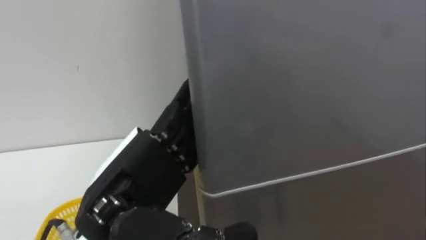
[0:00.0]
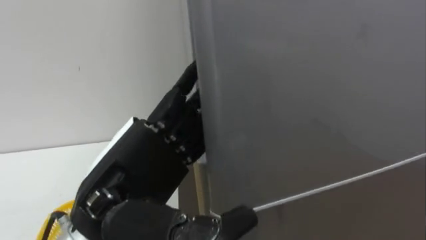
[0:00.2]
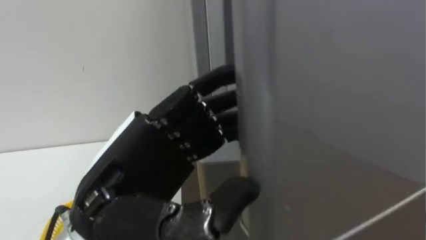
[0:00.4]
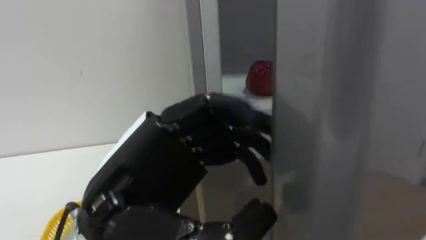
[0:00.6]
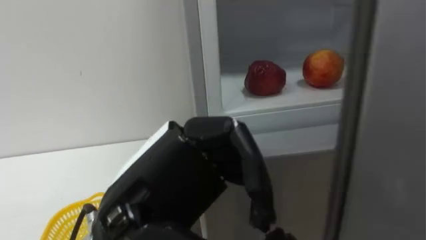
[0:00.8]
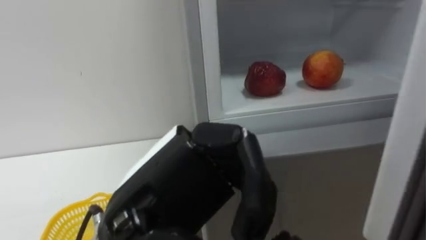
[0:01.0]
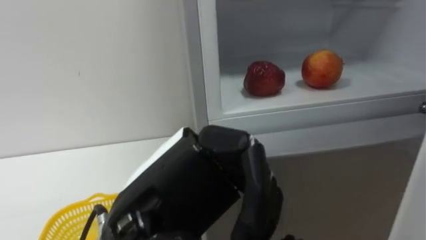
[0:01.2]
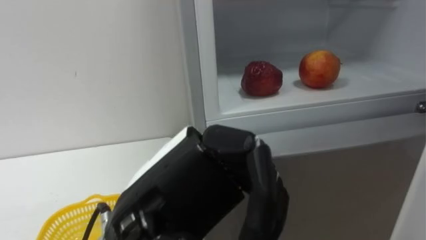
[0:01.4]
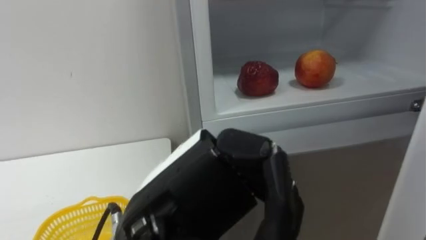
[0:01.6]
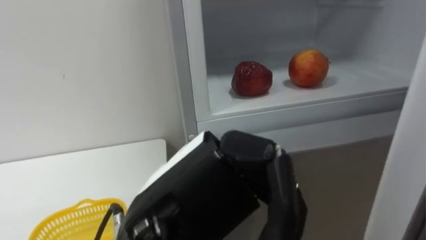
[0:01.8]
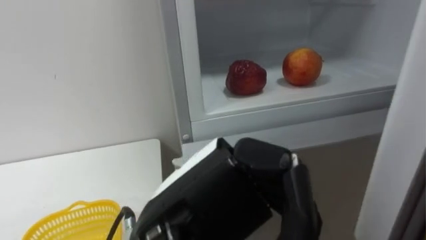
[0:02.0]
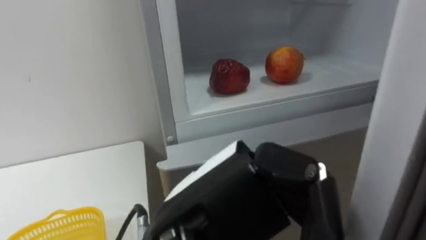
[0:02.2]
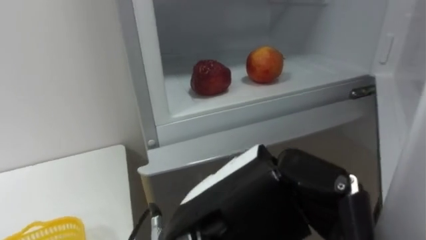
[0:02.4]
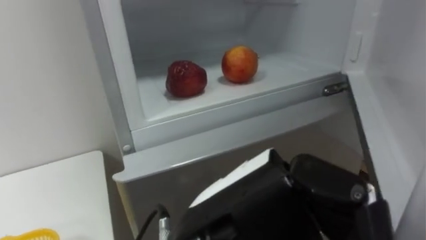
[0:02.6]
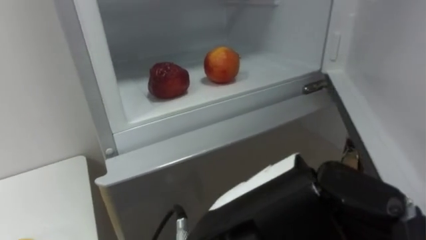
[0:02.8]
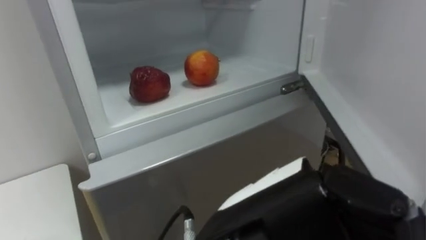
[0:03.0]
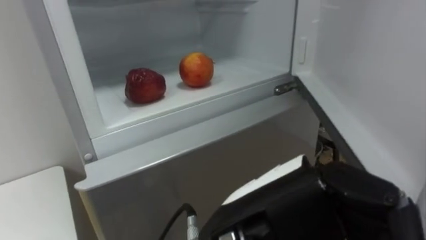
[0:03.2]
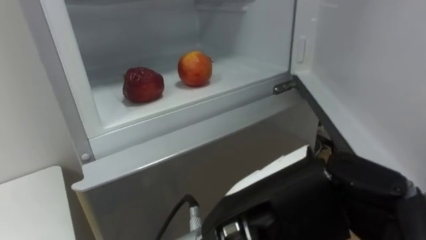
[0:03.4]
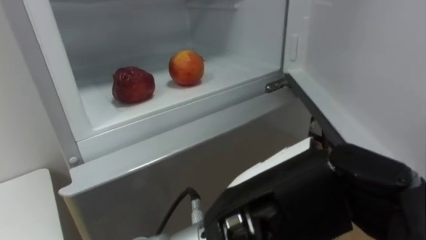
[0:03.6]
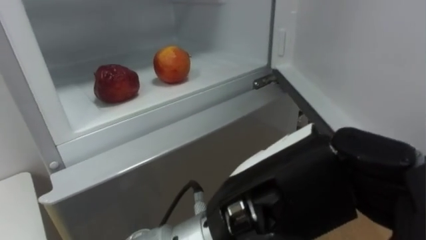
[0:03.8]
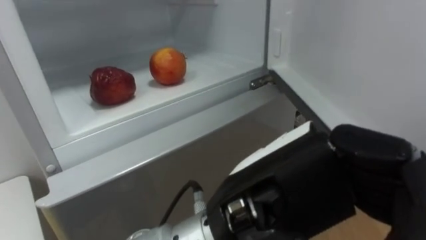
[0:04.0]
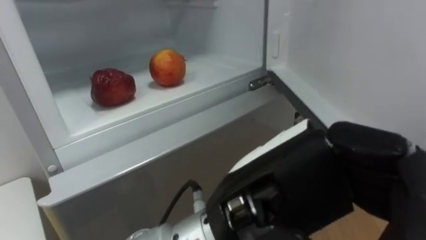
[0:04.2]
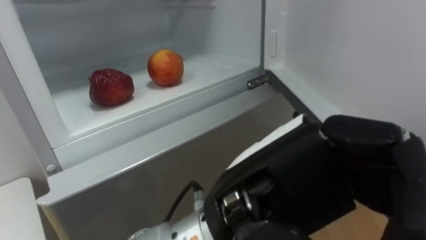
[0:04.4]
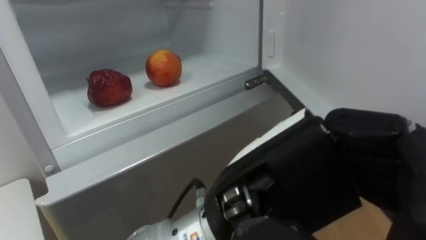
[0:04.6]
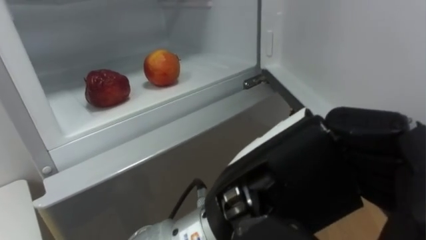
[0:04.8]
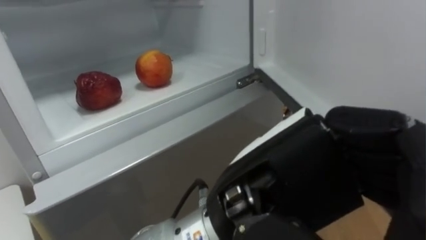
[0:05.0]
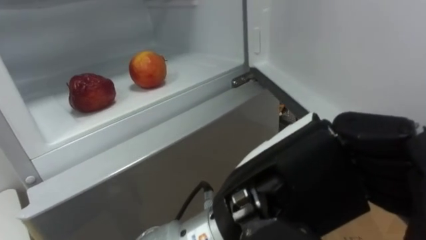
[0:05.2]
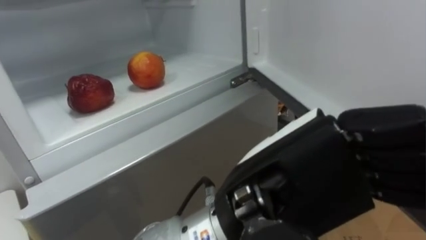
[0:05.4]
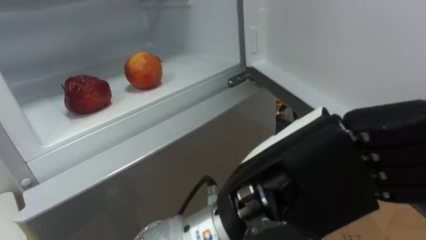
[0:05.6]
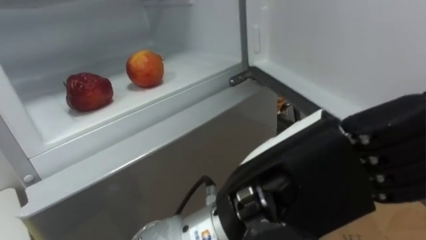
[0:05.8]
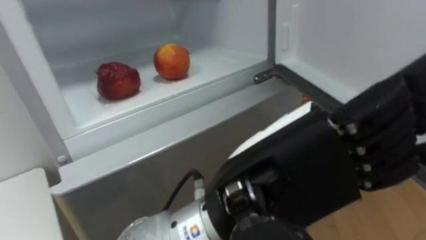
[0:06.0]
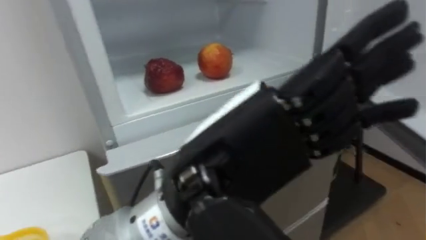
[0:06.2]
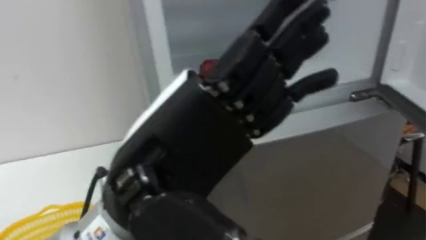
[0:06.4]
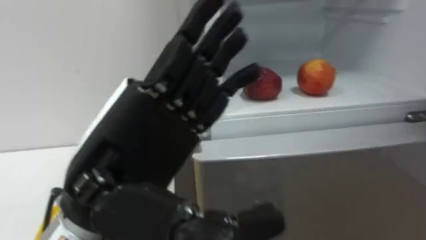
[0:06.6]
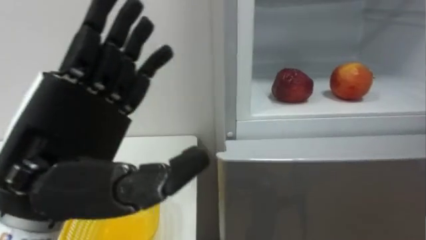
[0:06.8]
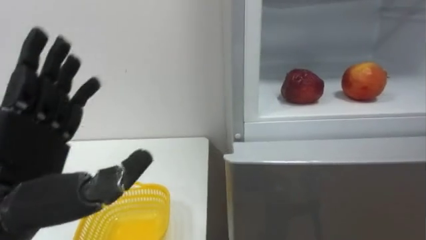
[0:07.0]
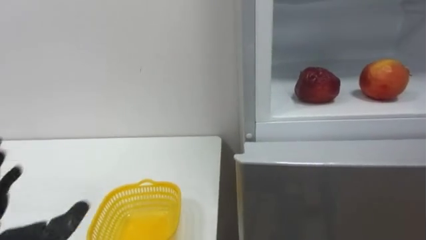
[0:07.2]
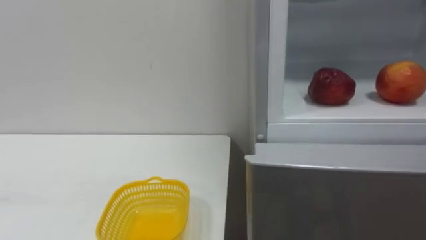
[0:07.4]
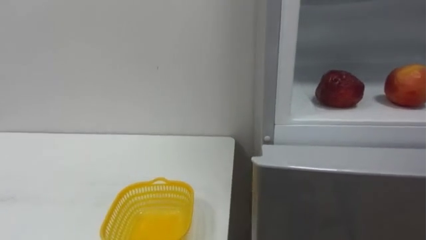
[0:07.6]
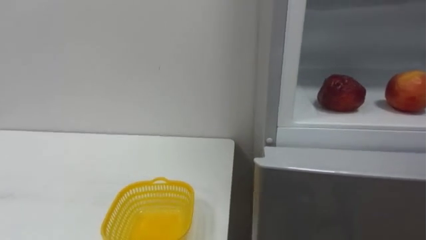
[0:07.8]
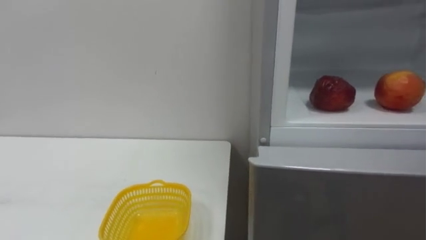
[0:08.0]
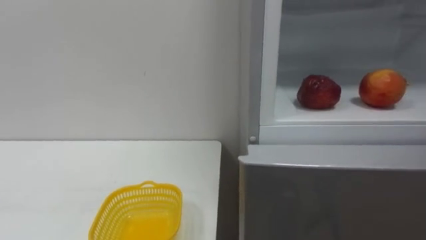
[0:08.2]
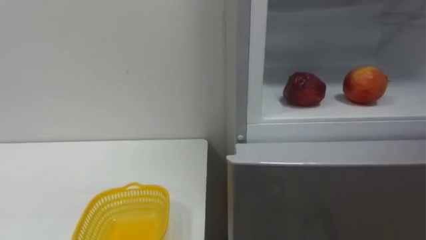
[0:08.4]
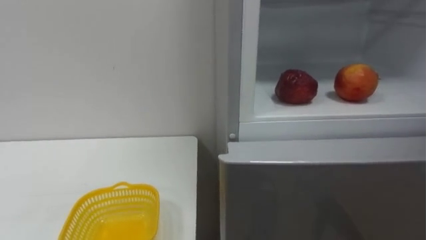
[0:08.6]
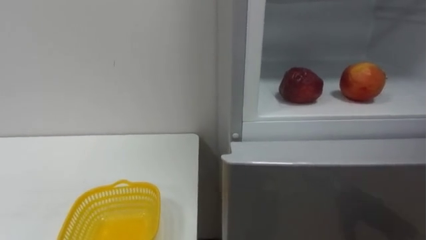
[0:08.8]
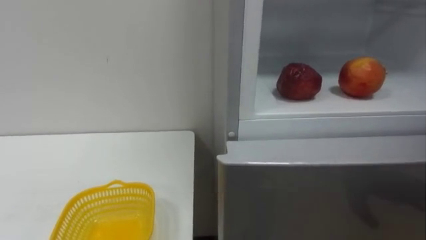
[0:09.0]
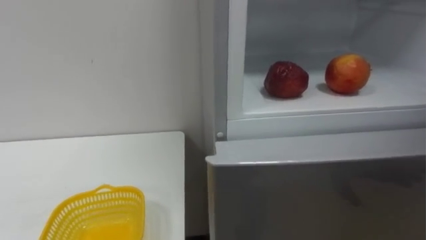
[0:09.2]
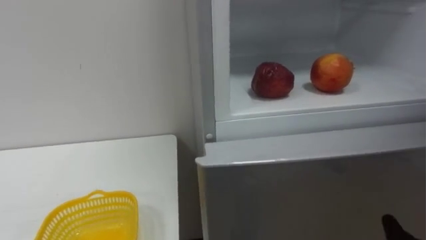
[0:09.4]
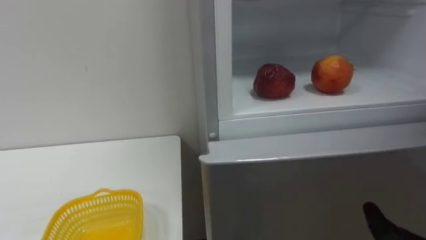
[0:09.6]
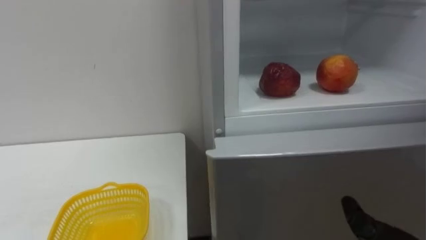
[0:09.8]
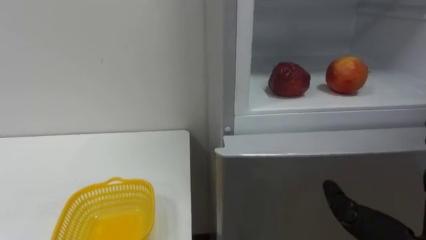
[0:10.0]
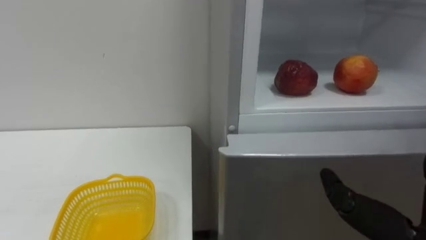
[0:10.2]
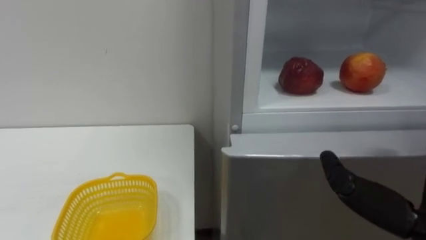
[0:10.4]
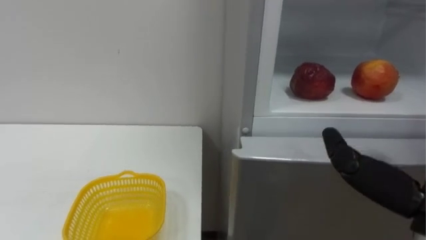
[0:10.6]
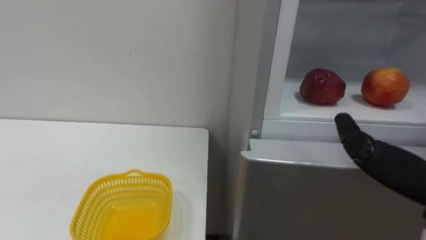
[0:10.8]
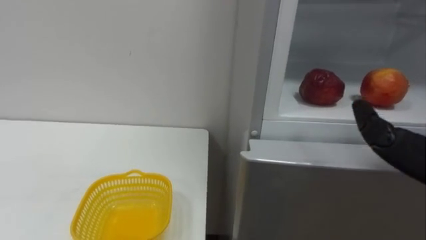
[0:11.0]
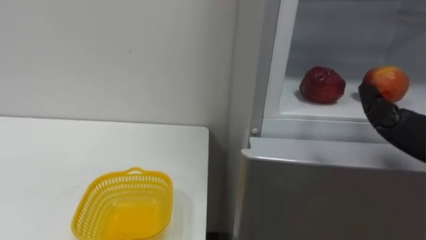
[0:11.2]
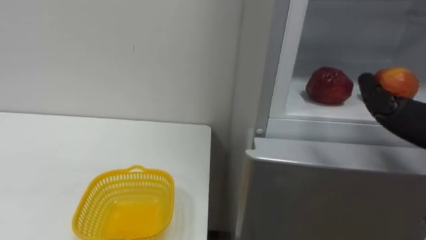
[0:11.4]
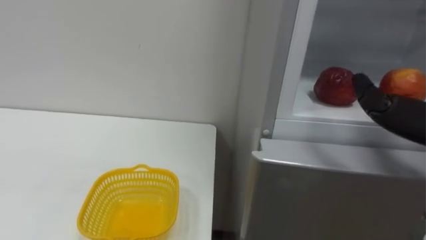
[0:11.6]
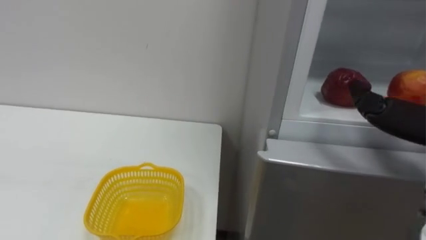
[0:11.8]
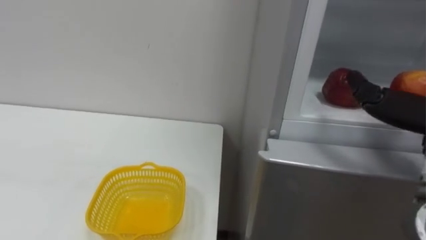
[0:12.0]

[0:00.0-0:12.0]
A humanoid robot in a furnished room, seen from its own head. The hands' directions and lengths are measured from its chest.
Task of the whole recording: Open the refrigerator door, take out the apple and the pomegranate, place them in the fruit basket on the left, and close the refrigerator door.
0:00.0 to 0:01.6: The left hand moves to the right, roughly 5 cm, and closes.
0:01.6 to 0:03.0: The left hand moves to the right, about 5 cm.
0:04.4 to 0:06.0: The left hand opens its fingers.

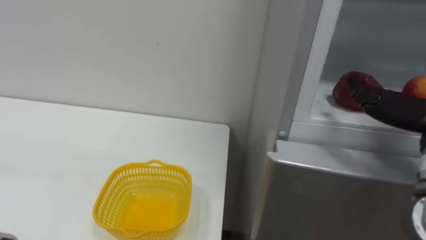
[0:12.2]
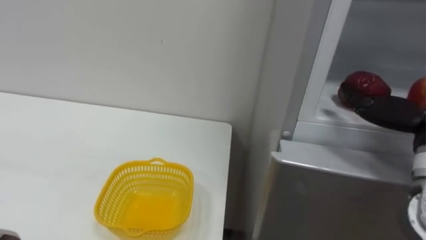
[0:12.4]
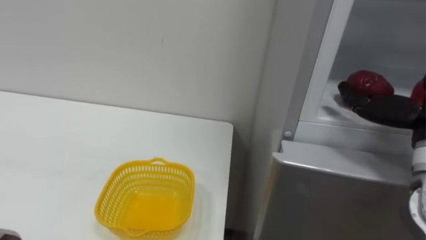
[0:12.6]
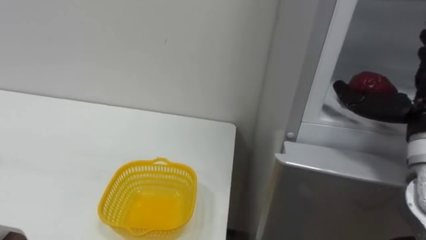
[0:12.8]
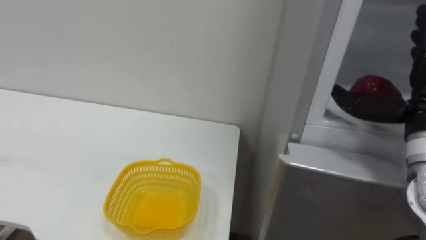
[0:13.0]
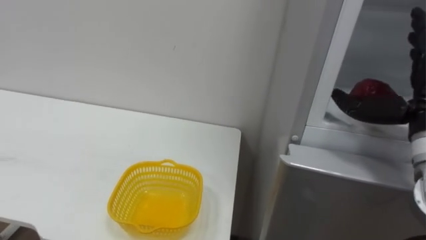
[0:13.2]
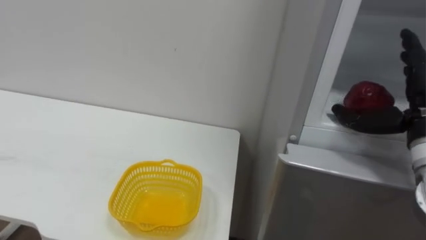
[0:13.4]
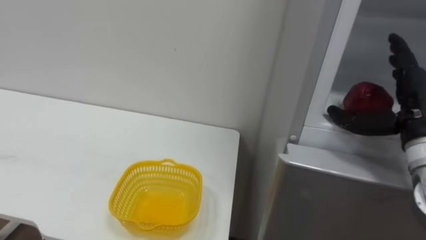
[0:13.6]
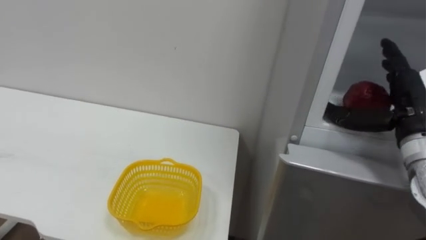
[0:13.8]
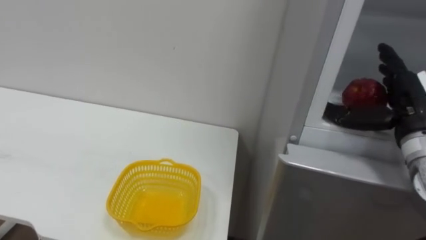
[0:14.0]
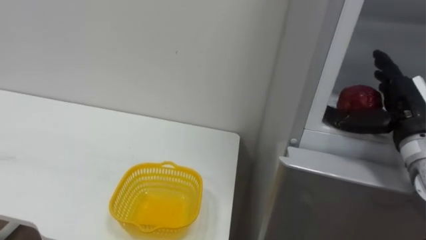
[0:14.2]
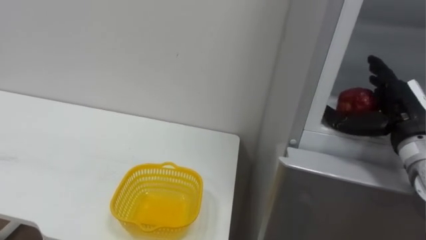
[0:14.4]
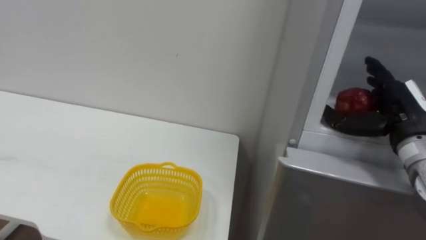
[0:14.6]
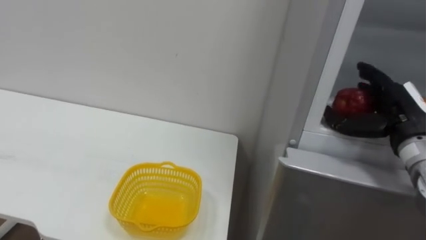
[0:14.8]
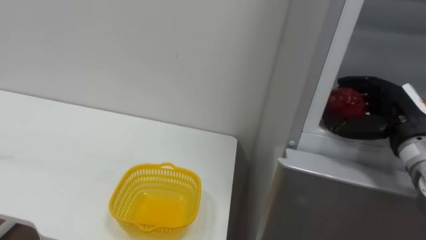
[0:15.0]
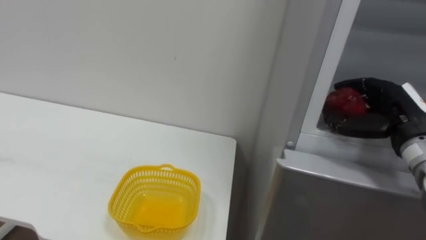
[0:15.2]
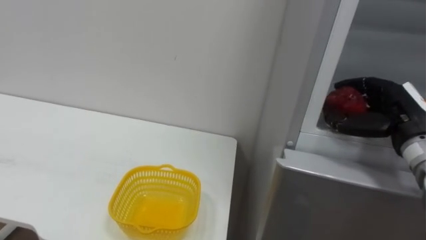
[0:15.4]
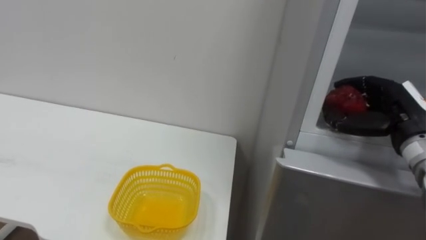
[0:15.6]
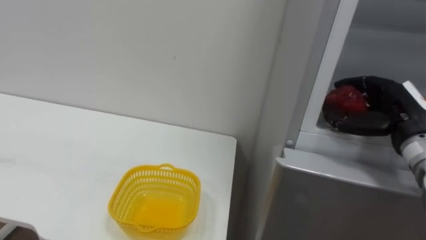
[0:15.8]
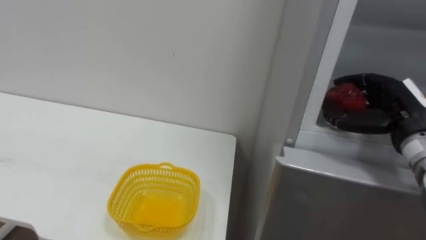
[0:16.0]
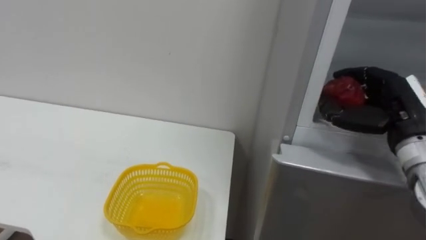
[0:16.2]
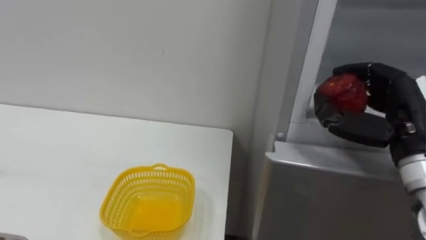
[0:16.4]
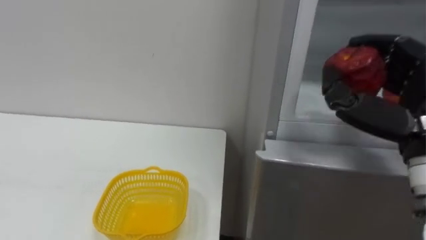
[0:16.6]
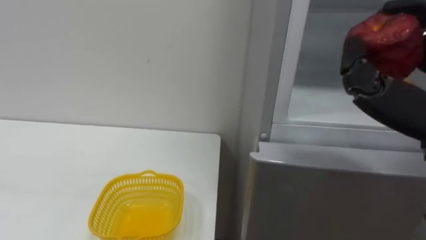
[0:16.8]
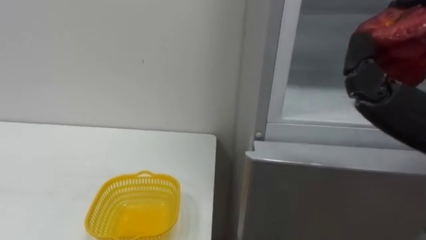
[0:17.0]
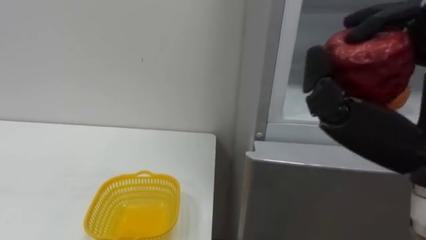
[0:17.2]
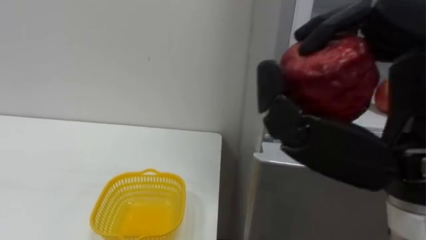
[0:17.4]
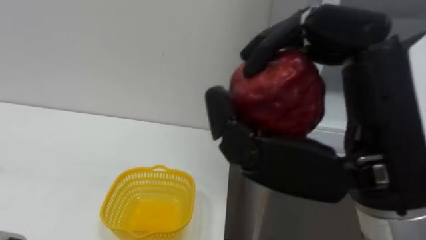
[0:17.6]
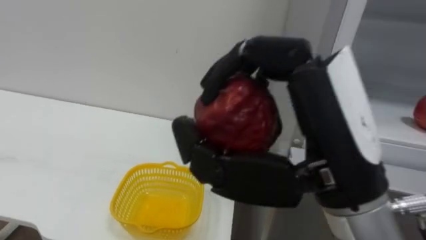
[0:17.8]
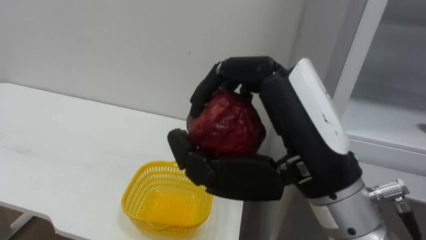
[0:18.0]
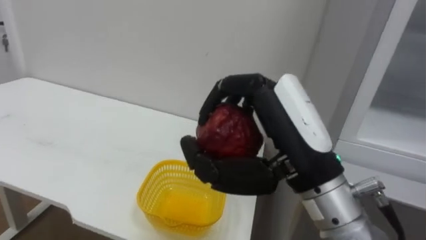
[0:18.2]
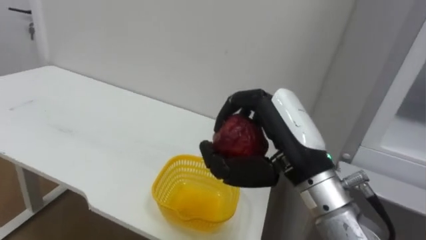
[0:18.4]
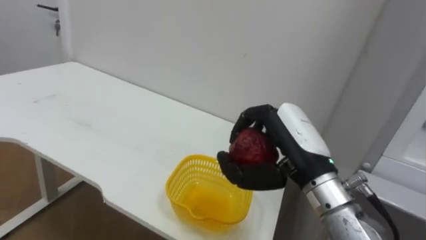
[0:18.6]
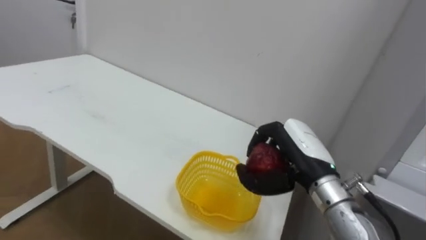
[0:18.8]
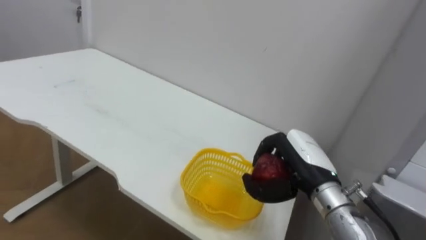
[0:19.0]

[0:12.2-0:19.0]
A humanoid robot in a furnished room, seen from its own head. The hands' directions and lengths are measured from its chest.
Task of the whole recording: Open the refrigerator door, take out the apple and the pomegranate, place them in the fruit basket on the left, and close the refrigerator door.
0:17.6 to 0:19.0: The right hand heads downward and forward, covering some 25 cm.
